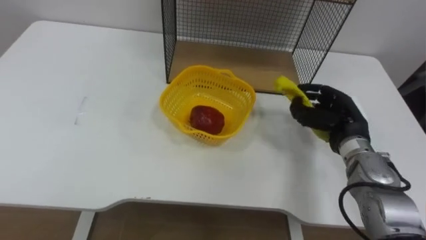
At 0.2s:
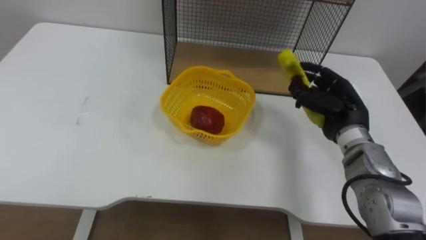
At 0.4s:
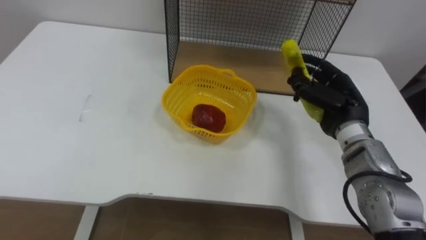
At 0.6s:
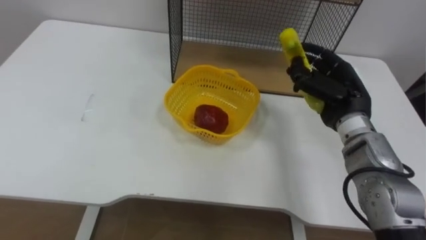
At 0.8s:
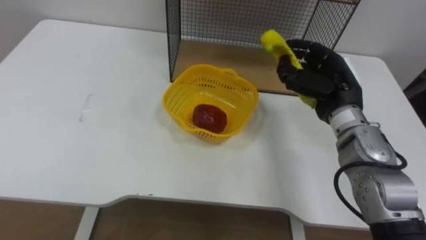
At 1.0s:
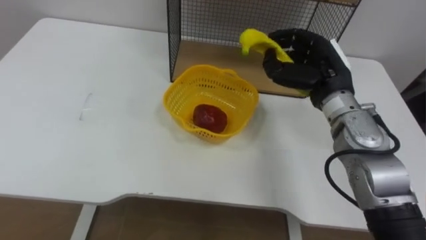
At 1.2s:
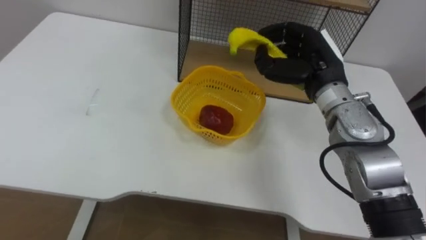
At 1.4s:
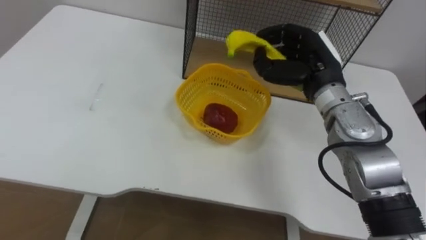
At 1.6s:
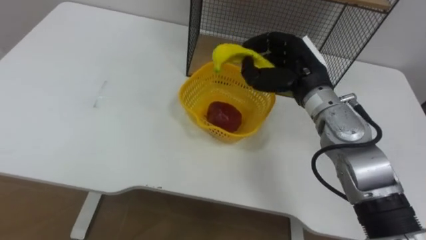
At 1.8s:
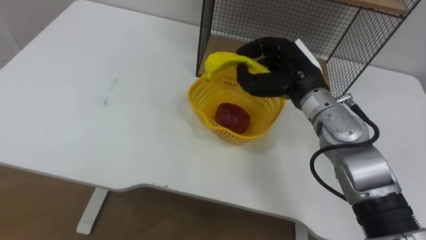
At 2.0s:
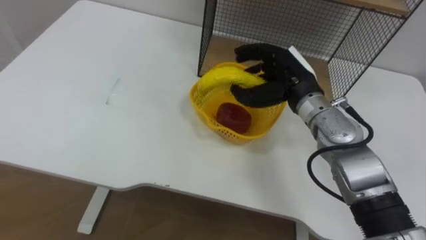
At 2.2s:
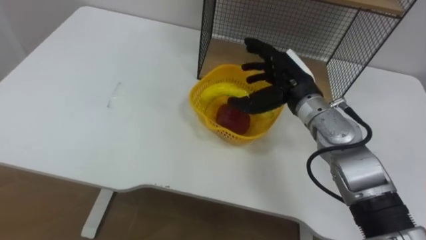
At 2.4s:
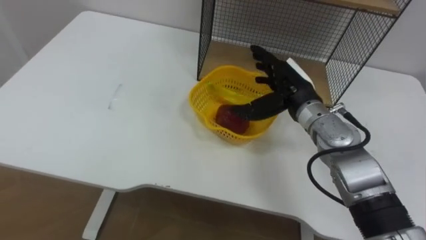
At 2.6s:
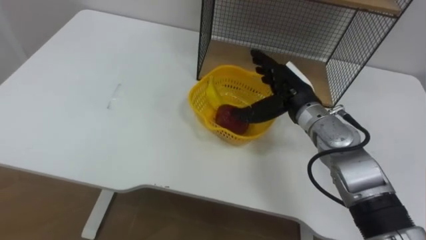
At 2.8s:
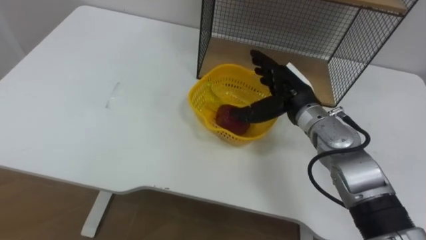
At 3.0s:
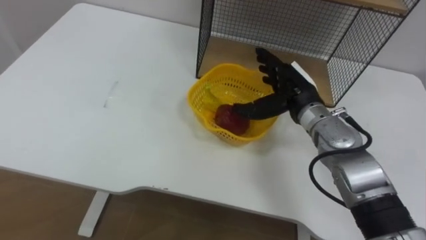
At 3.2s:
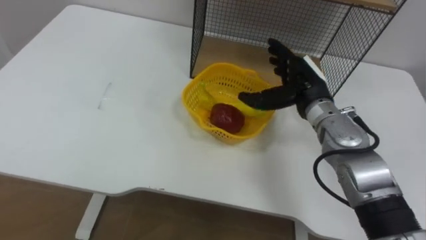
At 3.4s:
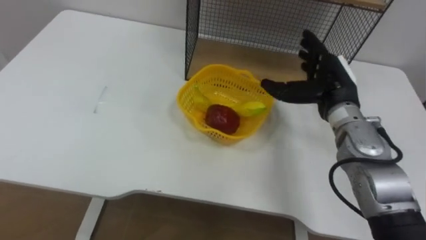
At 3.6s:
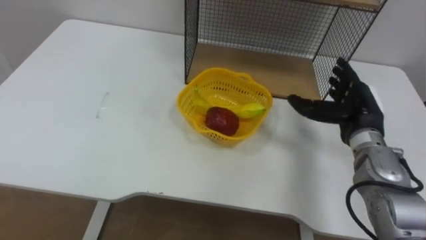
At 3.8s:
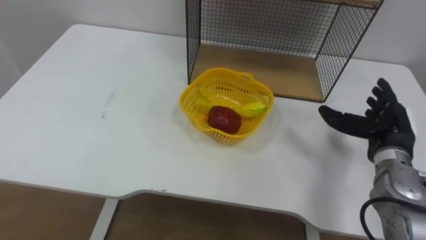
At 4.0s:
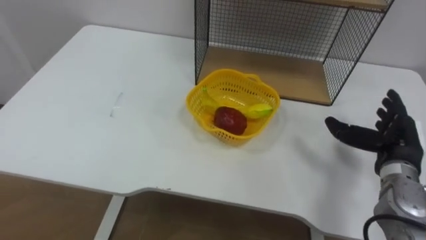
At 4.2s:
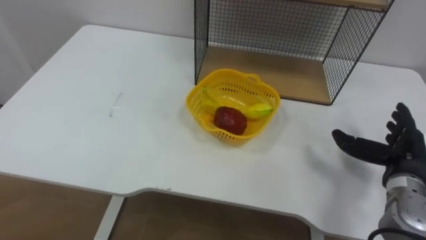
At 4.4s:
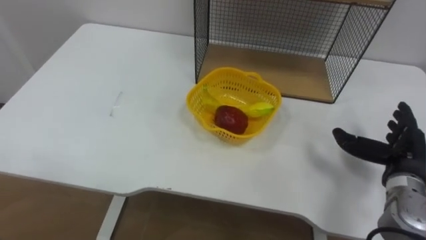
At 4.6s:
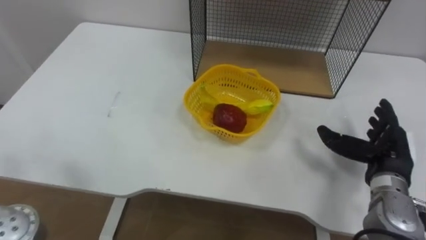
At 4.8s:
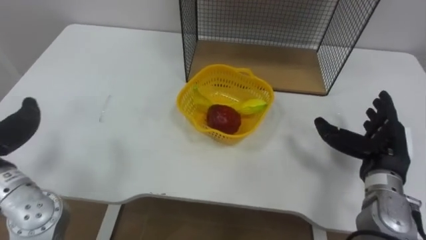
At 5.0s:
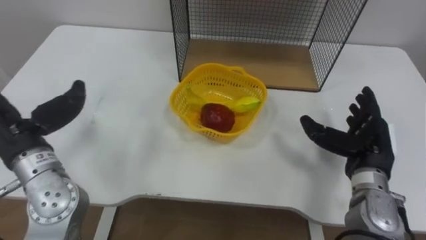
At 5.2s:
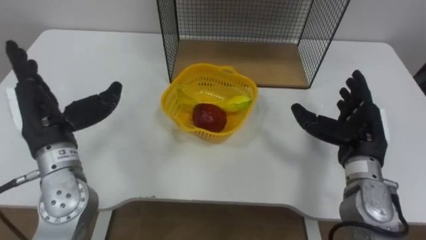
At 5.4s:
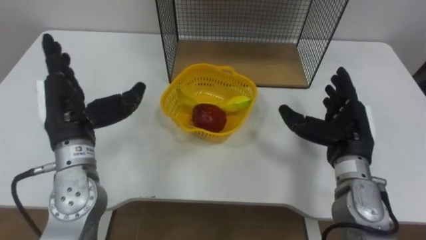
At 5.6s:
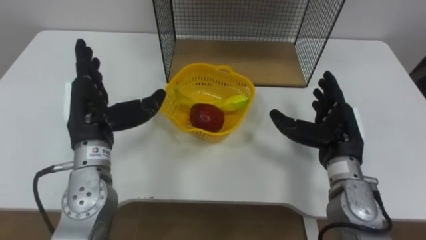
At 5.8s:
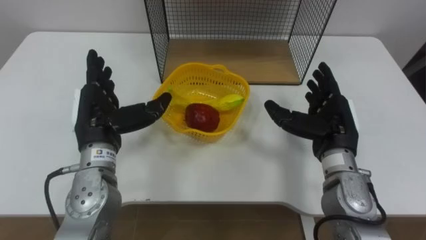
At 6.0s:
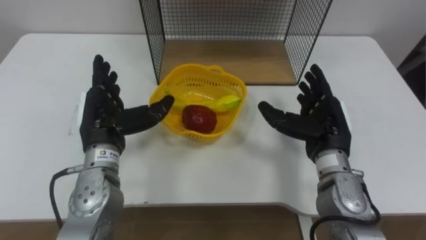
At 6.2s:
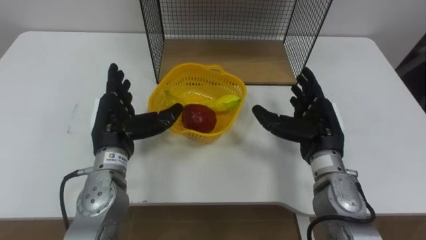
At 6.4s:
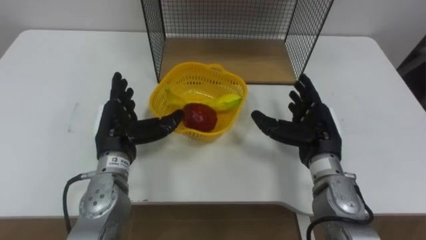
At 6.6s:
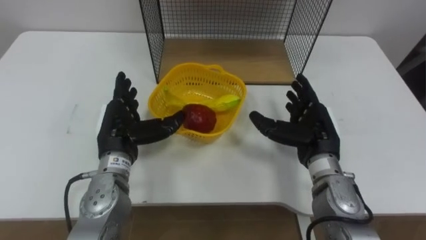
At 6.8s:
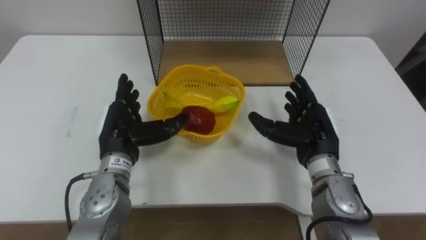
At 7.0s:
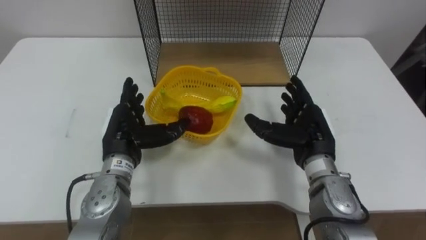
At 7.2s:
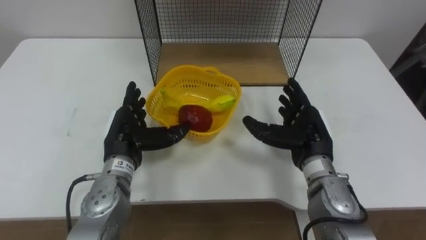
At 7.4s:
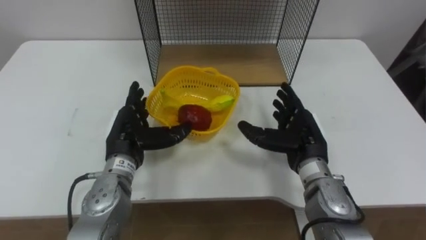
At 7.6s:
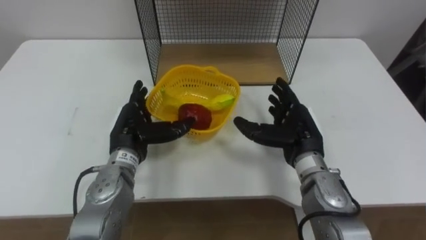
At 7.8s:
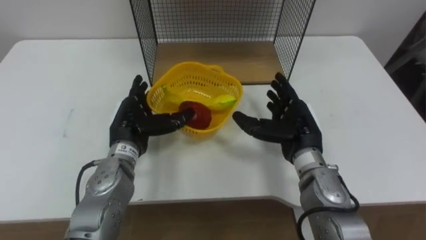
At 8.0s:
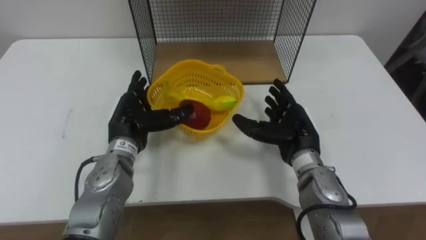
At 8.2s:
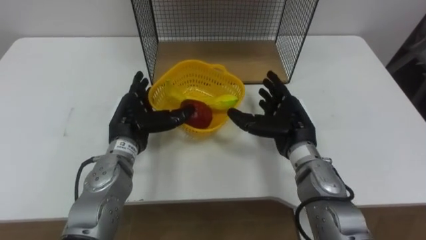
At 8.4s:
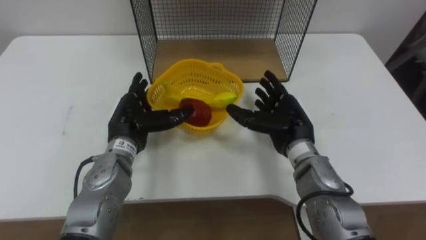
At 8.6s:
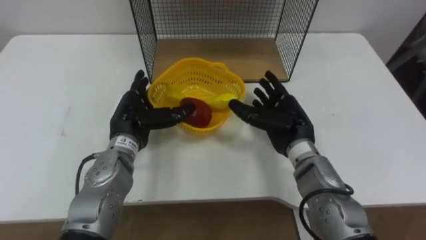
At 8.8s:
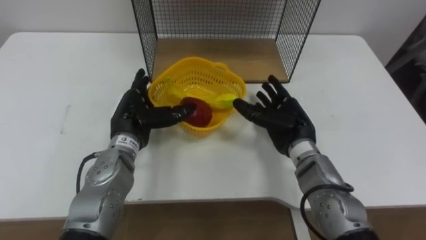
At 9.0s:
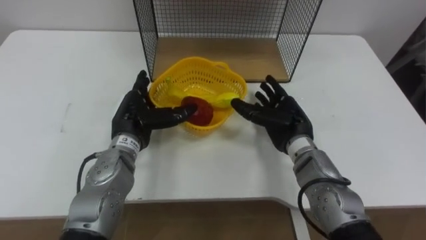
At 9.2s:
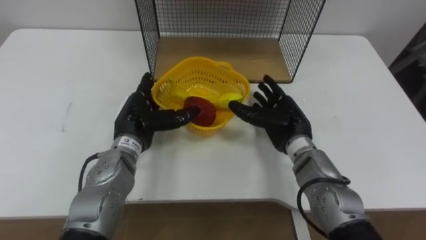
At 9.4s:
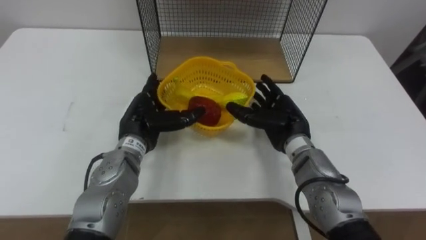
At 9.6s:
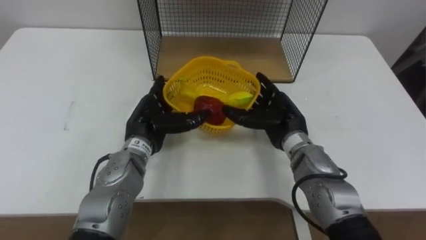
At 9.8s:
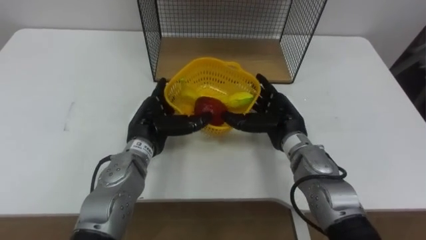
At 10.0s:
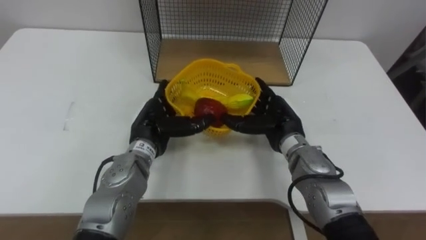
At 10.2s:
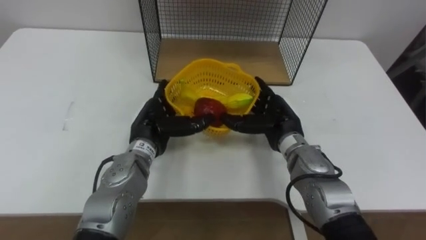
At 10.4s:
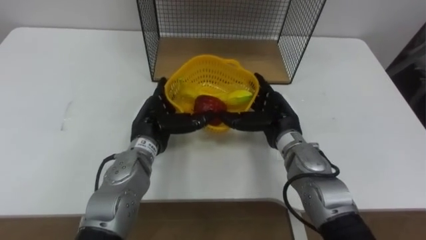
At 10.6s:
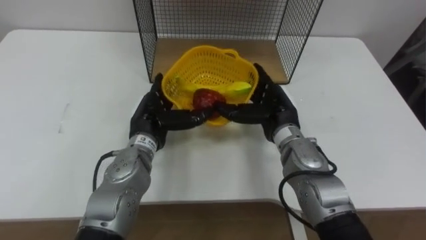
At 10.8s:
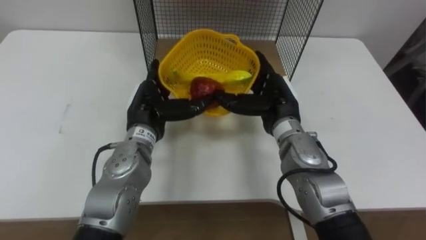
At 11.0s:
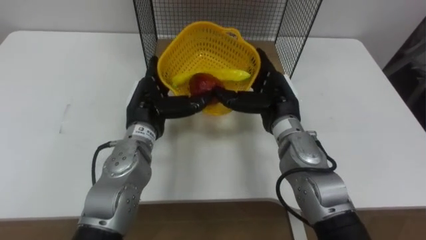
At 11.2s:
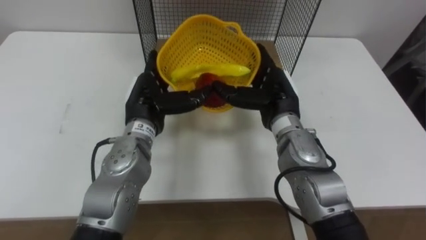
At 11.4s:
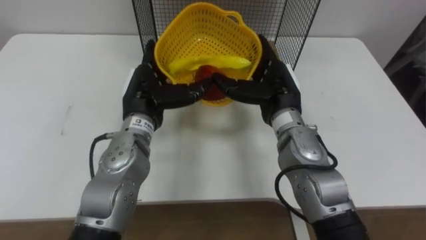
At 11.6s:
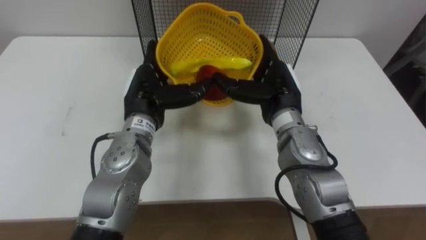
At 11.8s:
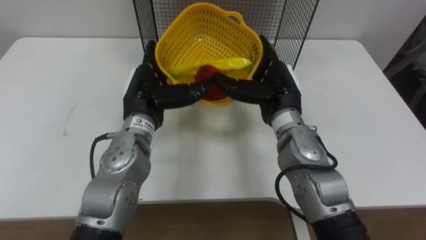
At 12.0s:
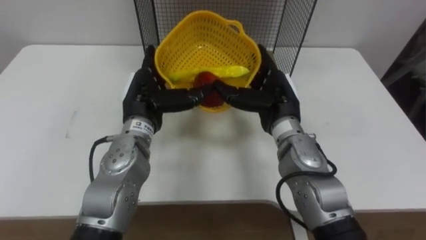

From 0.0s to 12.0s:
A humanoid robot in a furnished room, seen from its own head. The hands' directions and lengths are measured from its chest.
Task of the whole recording: Put the fruit on the table into the basket, then place the basket on the shelf.
From 0.0s to 1.6s: The right hand heads upward and to the left, covering roughly 15 cm.
From 1.6s to 3.0s: The right hand is displaced downward by approximately 5 cm, and opens.
From 3.0s to 4.4s: The right hand travels to the right and backward by about 20 cm.
From 4.4s to 6.0s: The right hand moves to the left, about 15 cm.
From 6.0s to 7.6s: The left hand goes roughly 5 cm downward.
From 7.6s to 10.4s: There are only small adjustments of the hands.
From 10.4s to 12.0s: Both hands move upward, approximately 5 cm.

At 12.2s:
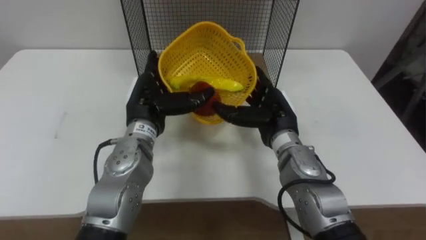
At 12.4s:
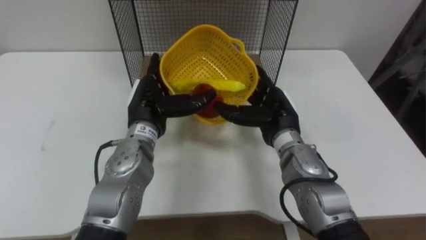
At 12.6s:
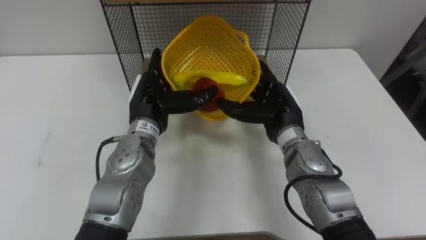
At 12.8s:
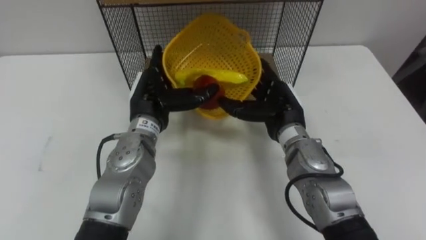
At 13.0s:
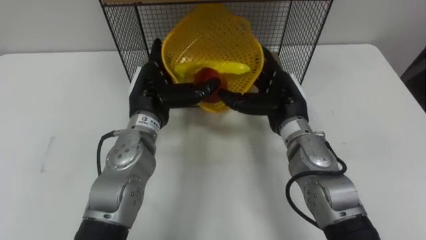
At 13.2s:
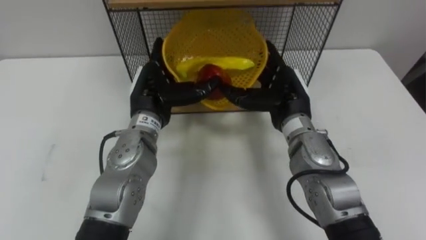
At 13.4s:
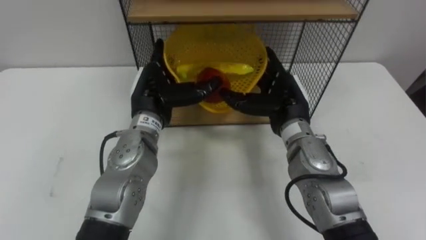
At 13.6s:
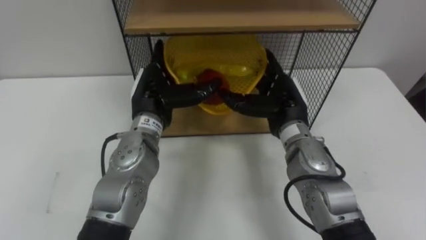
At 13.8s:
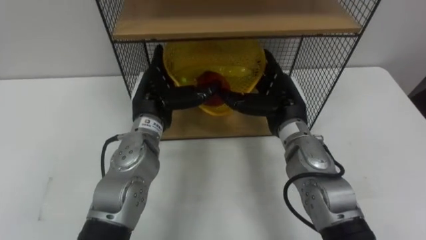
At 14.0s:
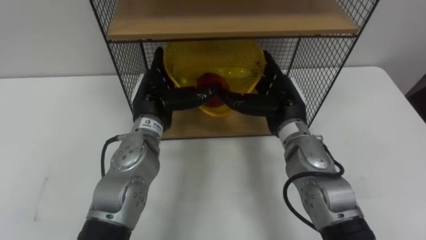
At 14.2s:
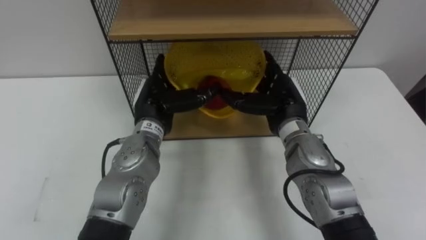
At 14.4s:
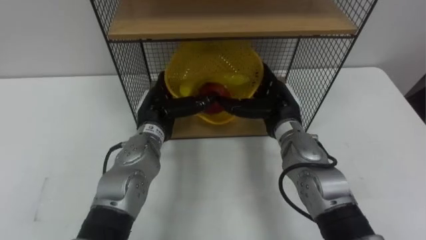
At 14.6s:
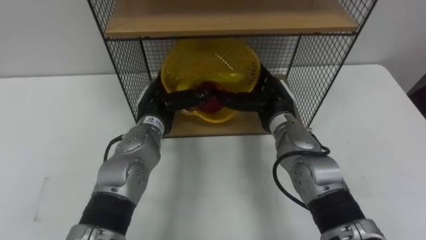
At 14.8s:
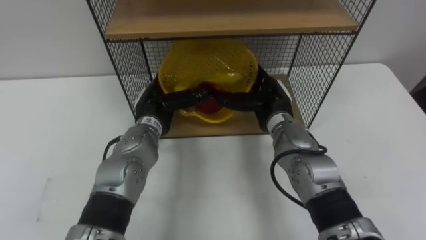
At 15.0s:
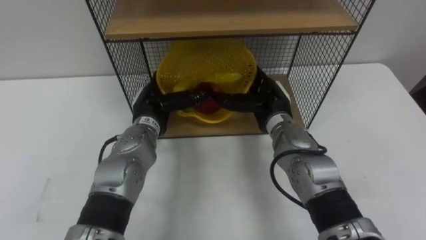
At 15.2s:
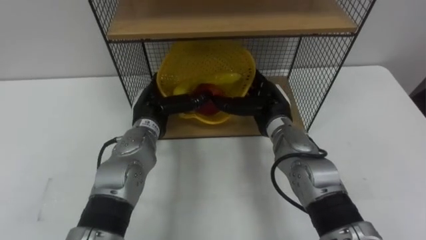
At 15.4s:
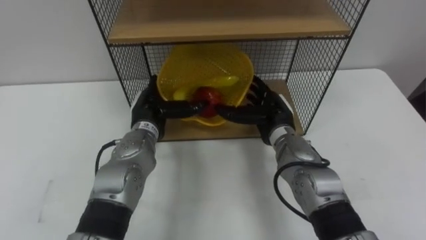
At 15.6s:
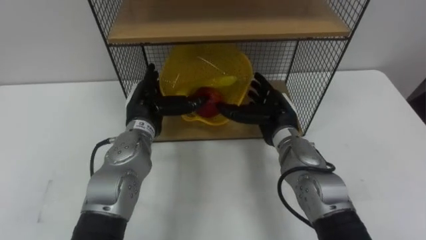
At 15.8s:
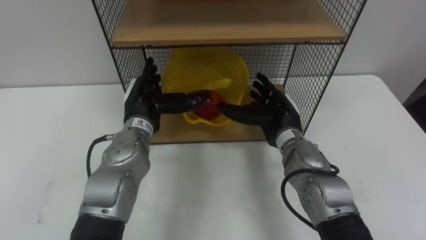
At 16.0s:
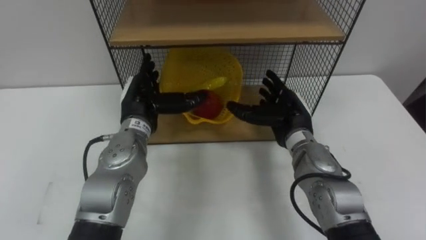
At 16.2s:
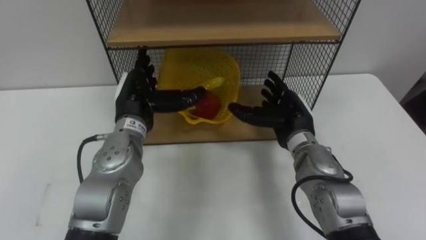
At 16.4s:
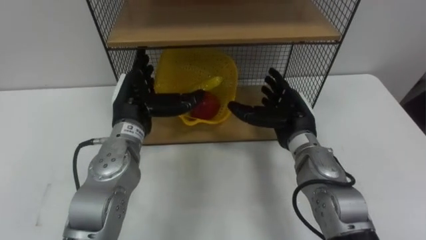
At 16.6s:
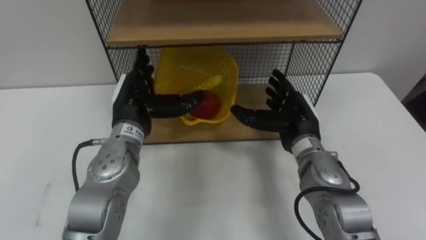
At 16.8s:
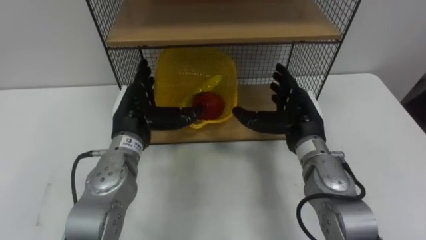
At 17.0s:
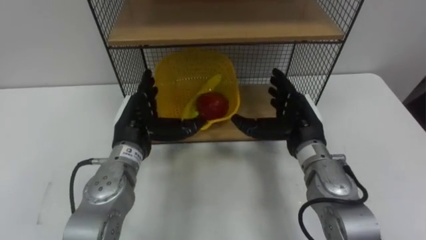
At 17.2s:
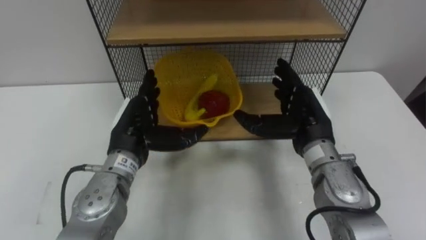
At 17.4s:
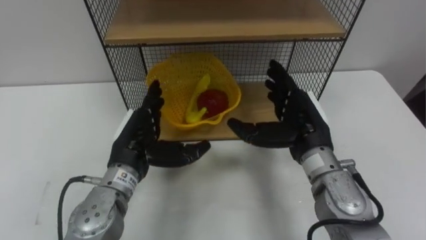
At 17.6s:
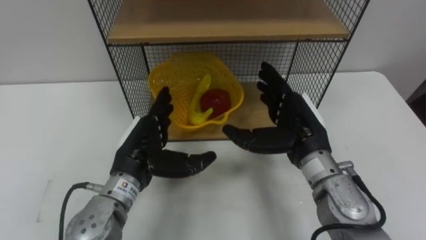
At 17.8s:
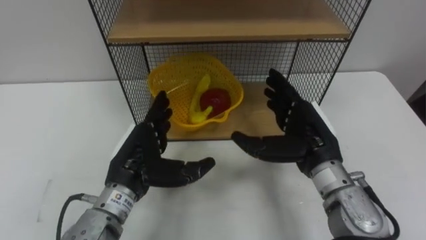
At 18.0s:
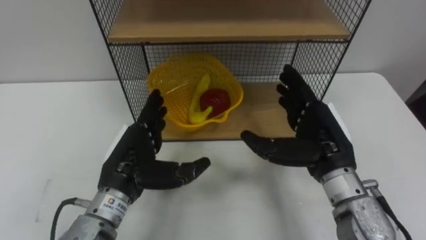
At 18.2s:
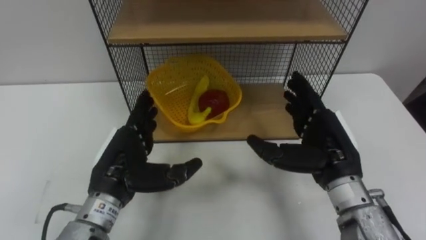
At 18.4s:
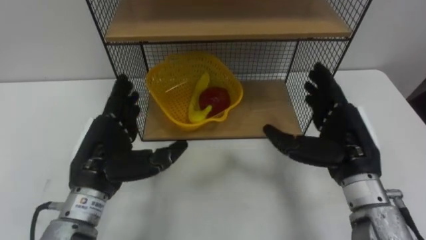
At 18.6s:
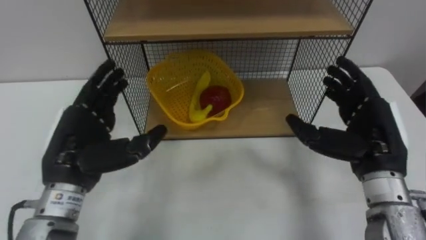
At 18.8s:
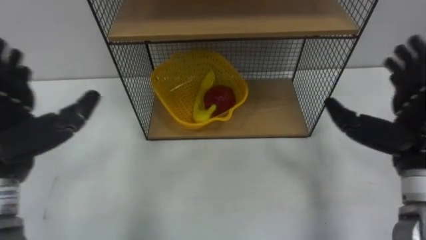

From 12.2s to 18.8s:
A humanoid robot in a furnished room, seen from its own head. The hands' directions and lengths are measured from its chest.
Task of the whole recording: Put the fruit on the table into the basket, then place the basket on the shelf.
From 13.8s to 15.4s: The left hand shifts roughly 5 cm downward. Meanwhile the right hand moves roughly 5 cm.
From 15.4s to 17.2s: The right hand travels upward and backward by approximately 10 cm. The left hand heads backward, covering roughly 5 cm.
From 17.2s to 18.8s: The left hand heads to the left, upward and backward, covering roughly 15 cm, while the right hand travels to the right, backward and upward by approximately 15 cm.
